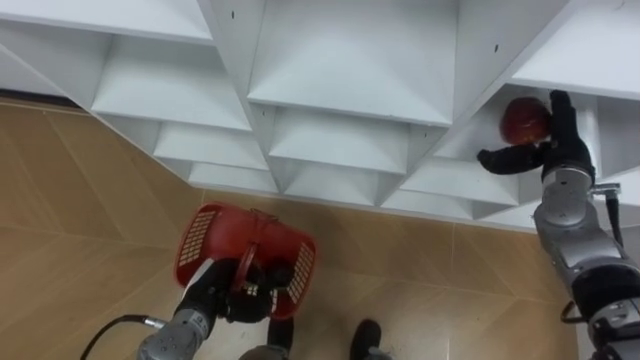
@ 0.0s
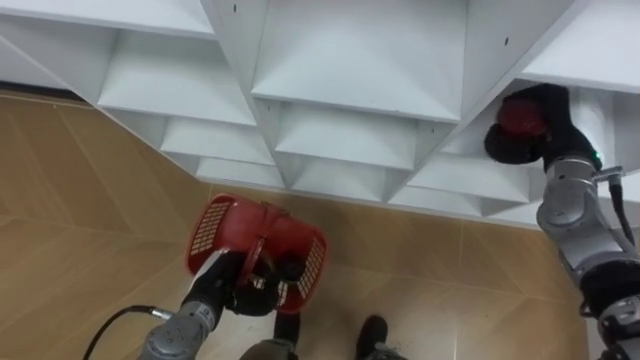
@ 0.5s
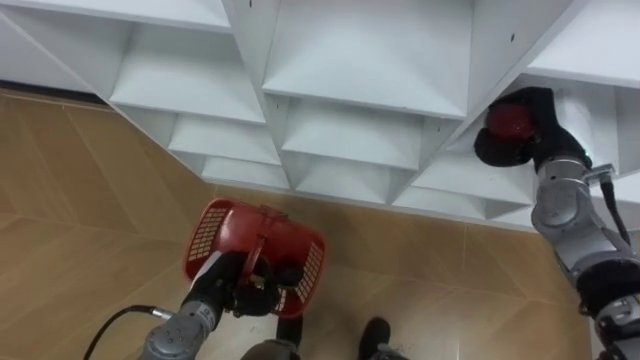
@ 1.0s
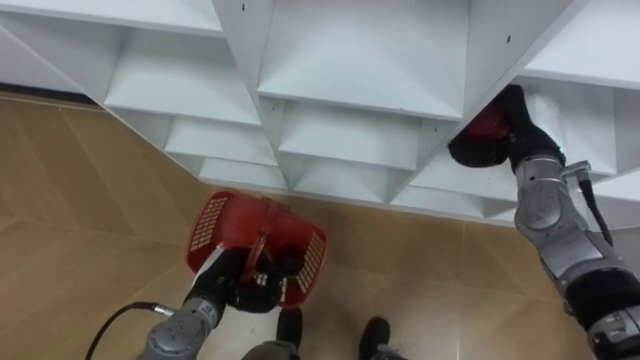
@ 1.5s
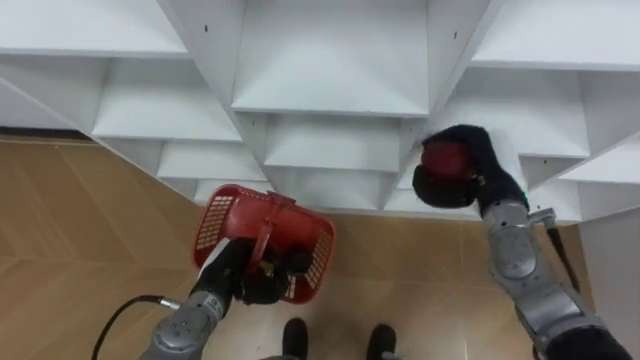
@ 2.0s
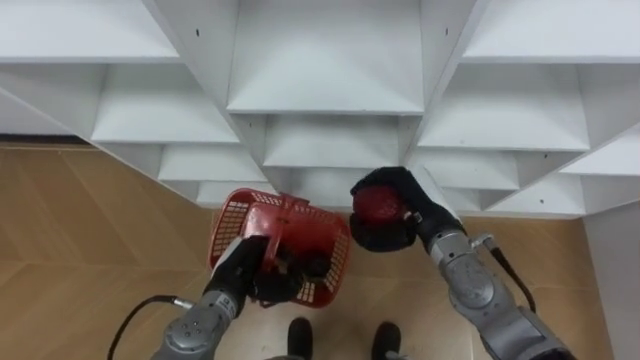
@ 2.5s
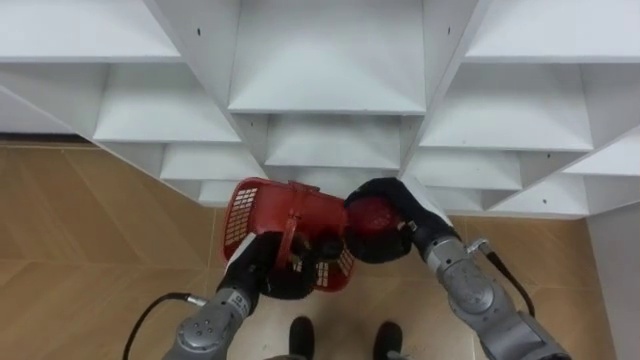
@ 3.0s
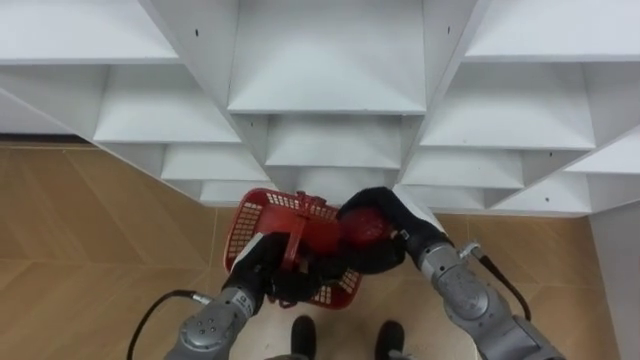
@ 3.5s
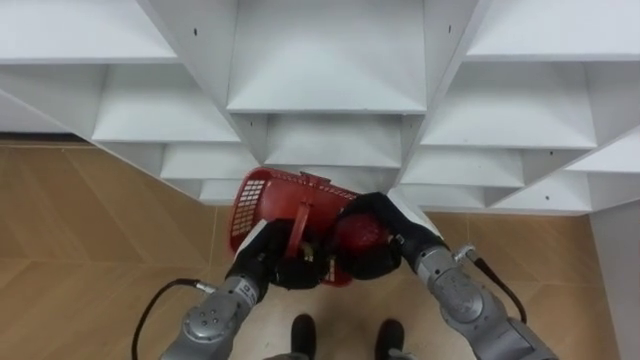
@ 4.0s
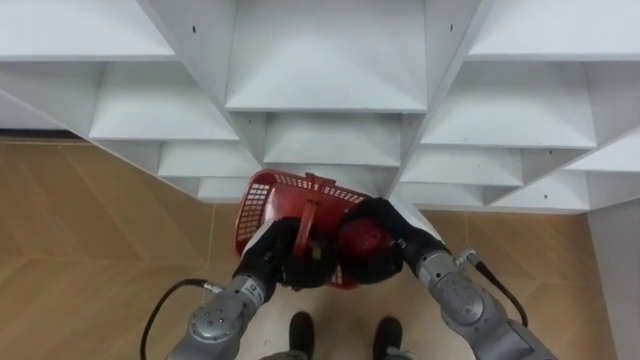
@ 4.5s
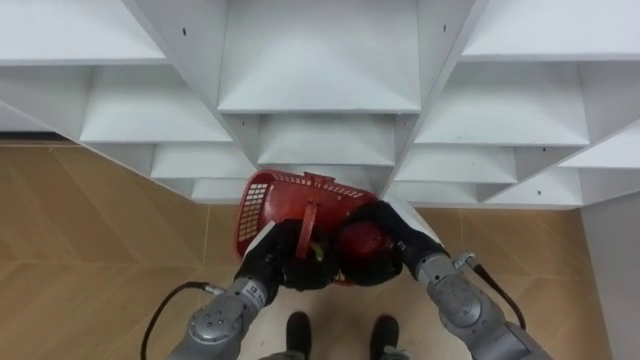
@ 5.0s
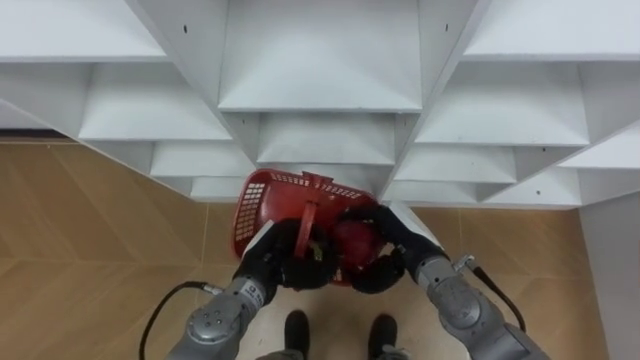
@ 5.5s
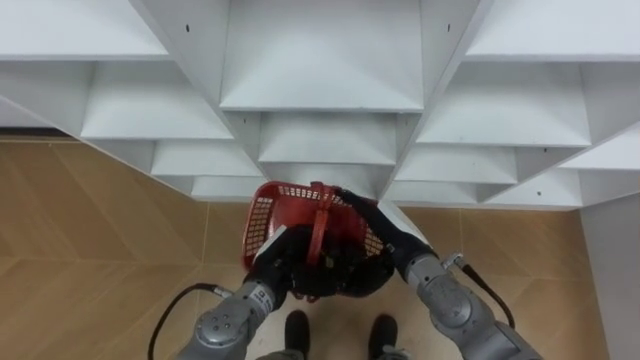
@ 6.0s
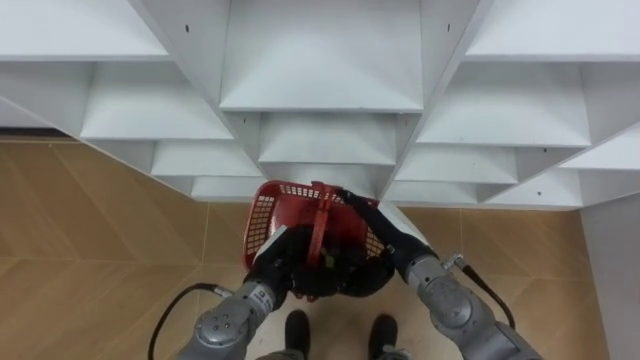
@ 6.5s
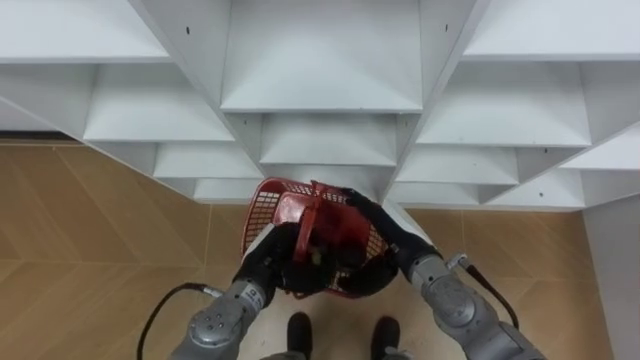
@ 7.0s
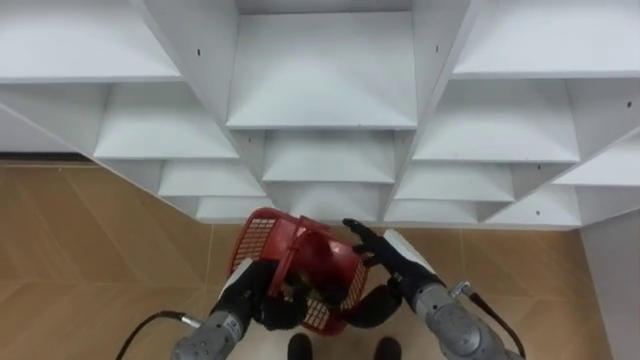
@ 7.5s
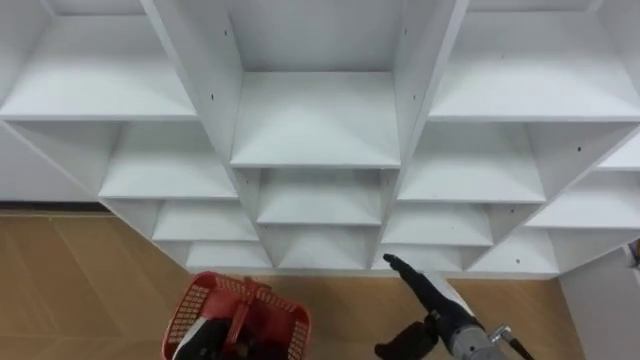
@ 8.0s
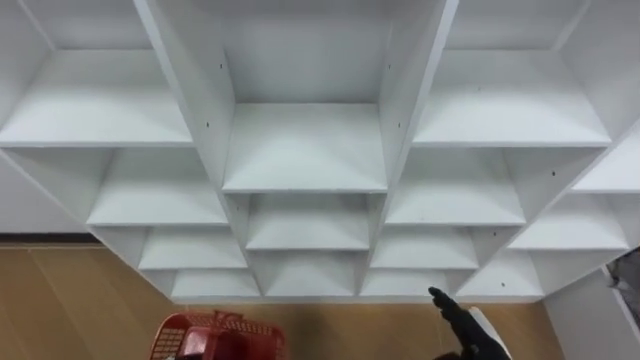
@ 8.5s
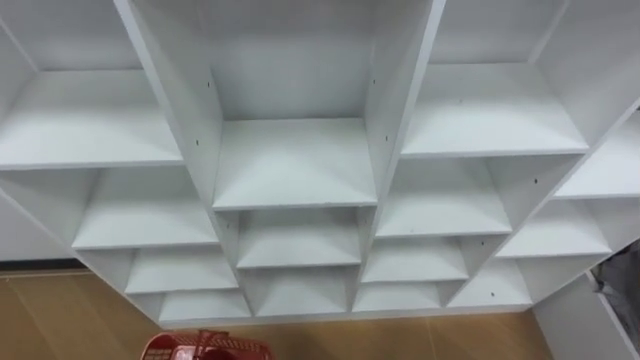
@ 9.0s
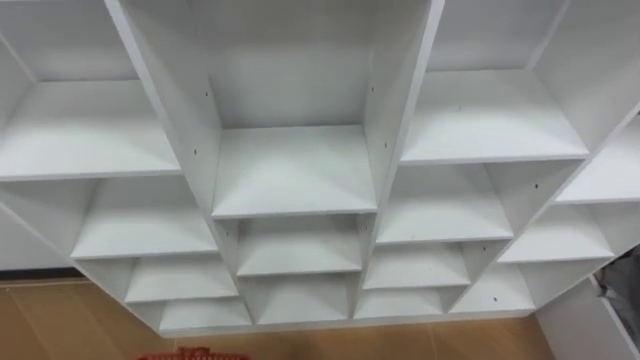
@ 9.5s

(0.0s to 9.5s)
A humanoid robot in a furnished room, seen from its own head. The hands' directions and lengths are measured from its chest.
Task of the whole recording: Hold the basket and collect the fruits from 3 different cells of the closet into it.
0.0s - 2.0s: The right hand heads to the left, covering about 10 cm, and closes up.
2.0s - 4.0s: The right hand is displaced to the left, downward and backward by about 15 cm. The left hand heads to the right, covering roughly 5 cm.
4.0s - 5.5s: The hands move only a little.
5.5s - 7.5s: The right hand opens, while the left hand shifts approximately 5 cm downward.

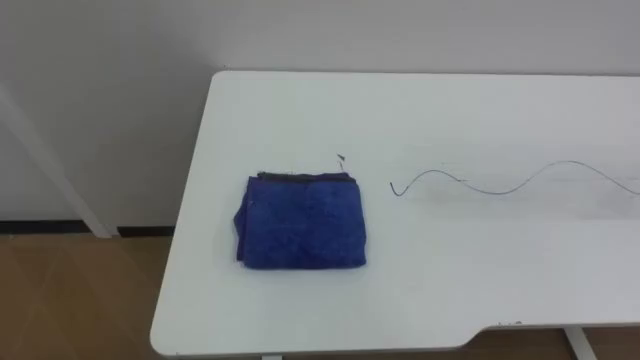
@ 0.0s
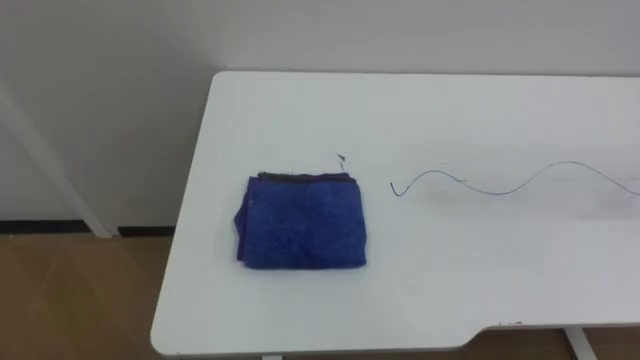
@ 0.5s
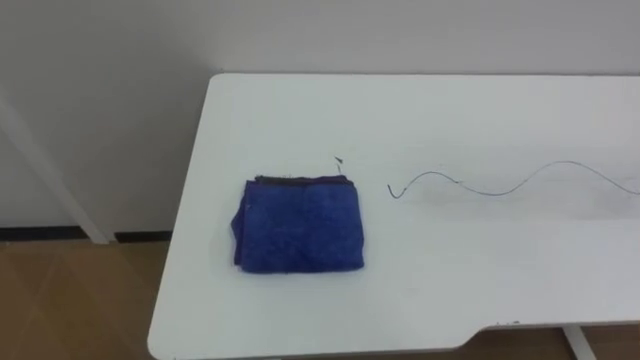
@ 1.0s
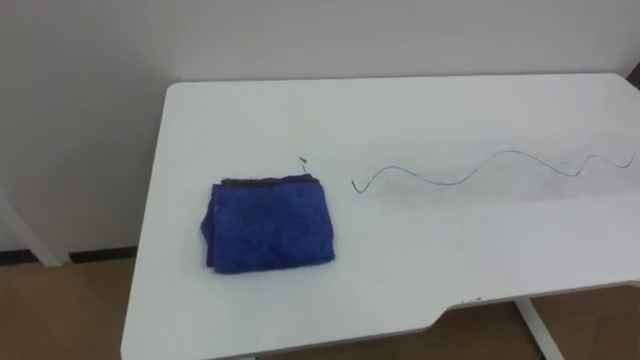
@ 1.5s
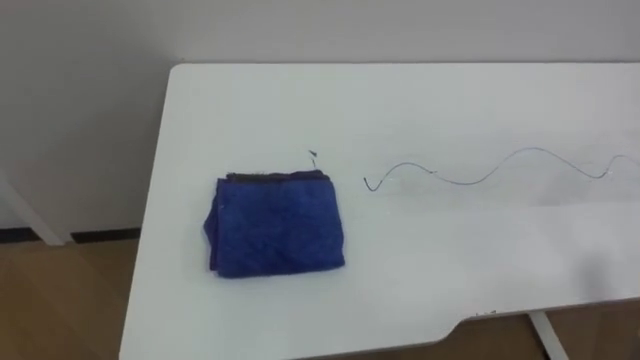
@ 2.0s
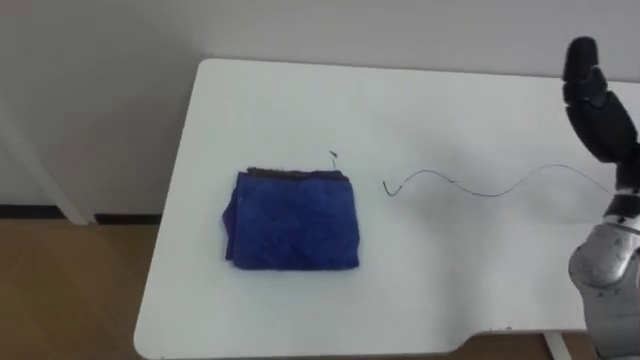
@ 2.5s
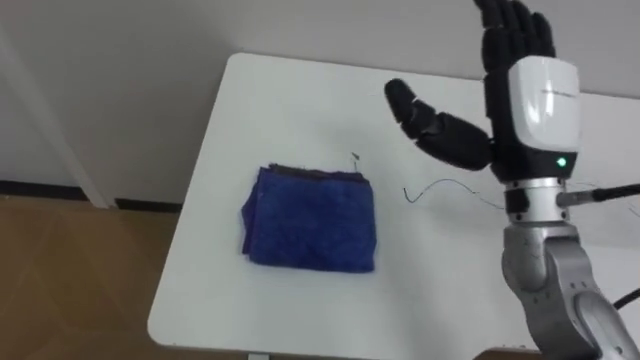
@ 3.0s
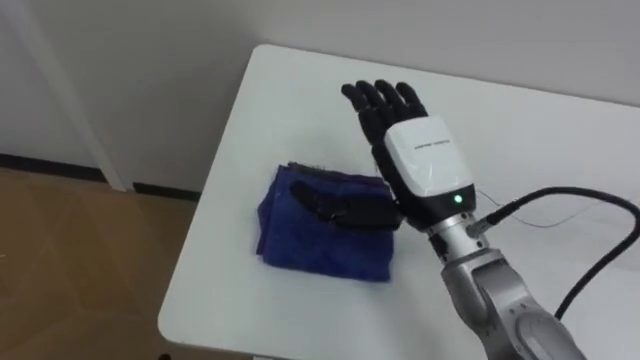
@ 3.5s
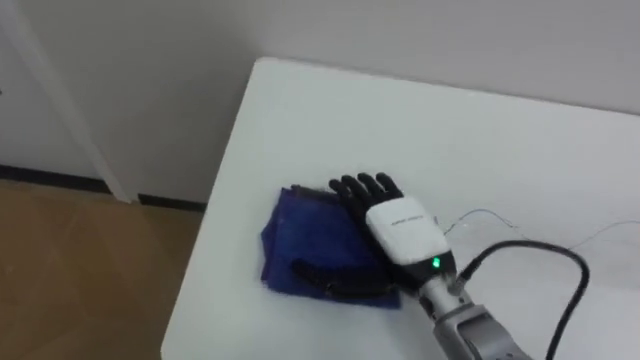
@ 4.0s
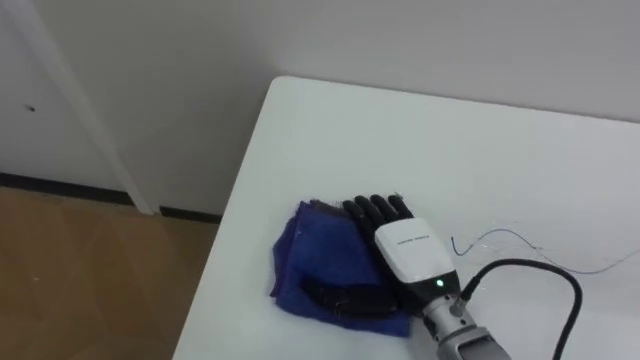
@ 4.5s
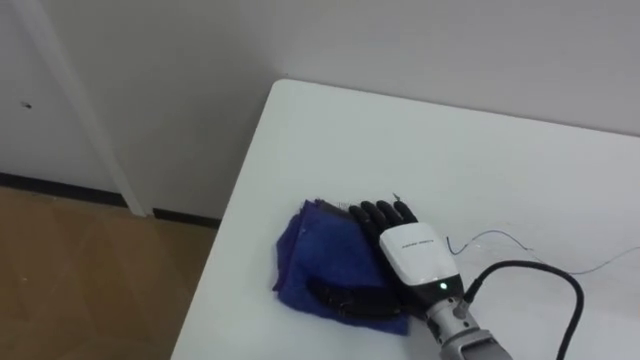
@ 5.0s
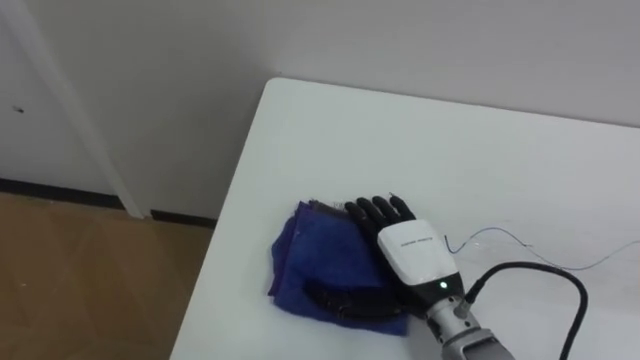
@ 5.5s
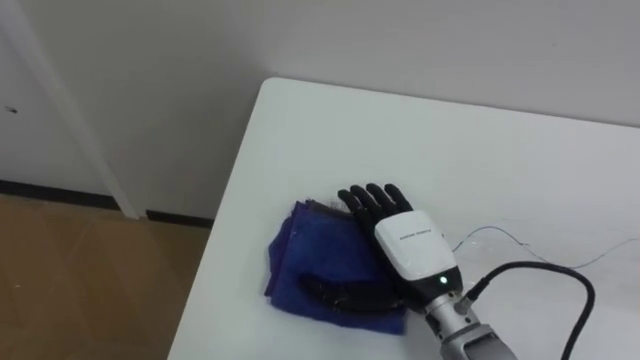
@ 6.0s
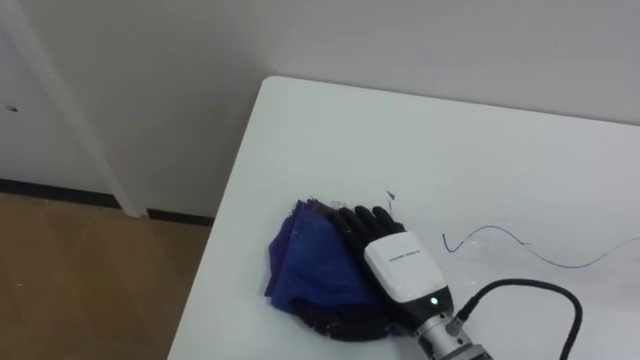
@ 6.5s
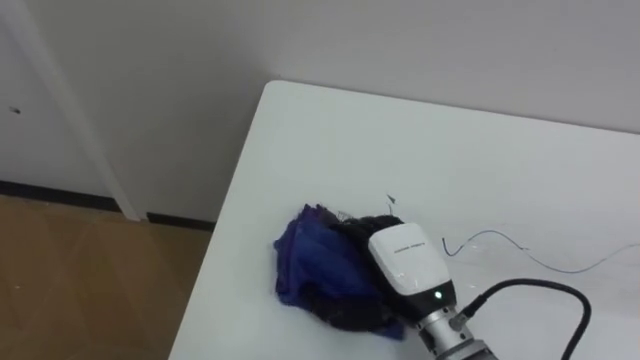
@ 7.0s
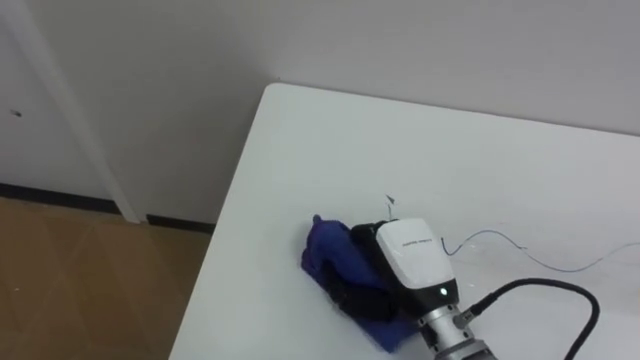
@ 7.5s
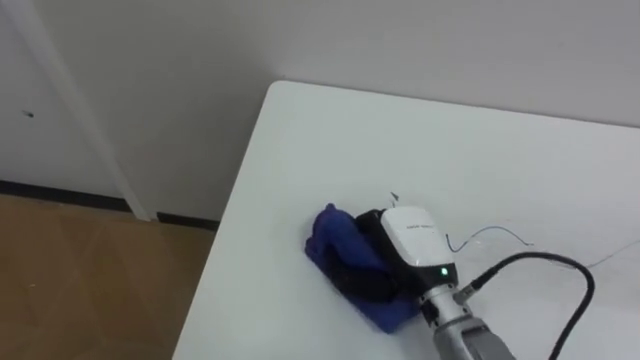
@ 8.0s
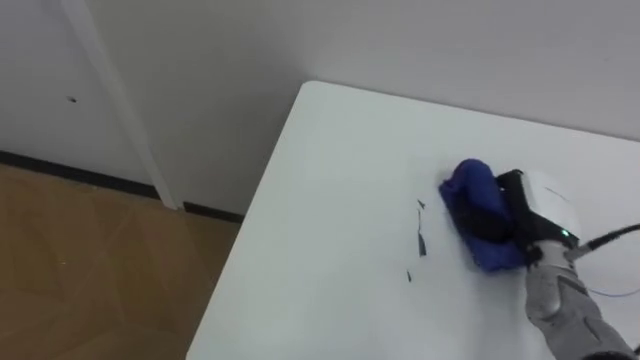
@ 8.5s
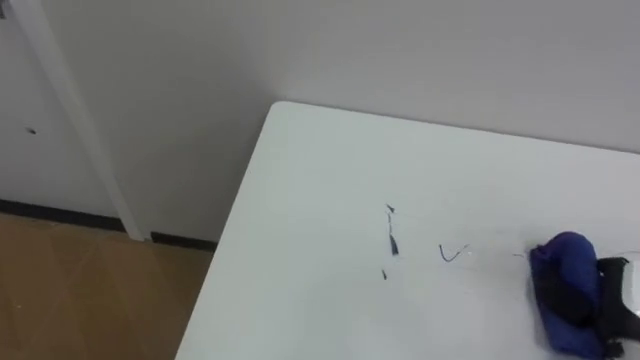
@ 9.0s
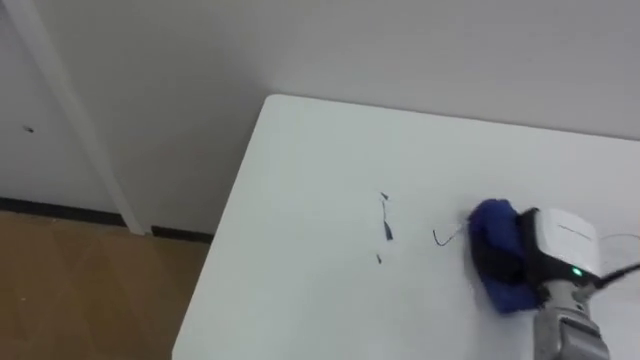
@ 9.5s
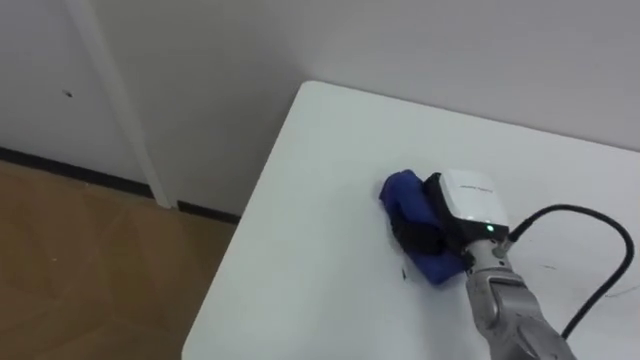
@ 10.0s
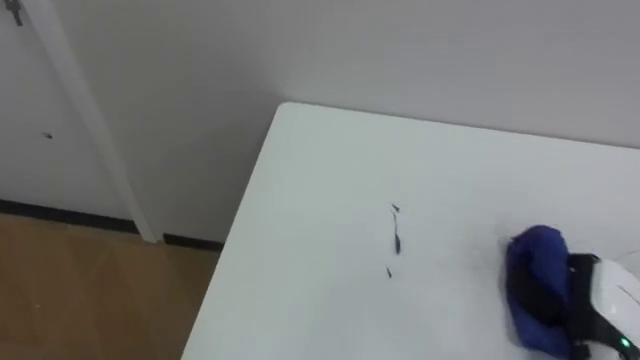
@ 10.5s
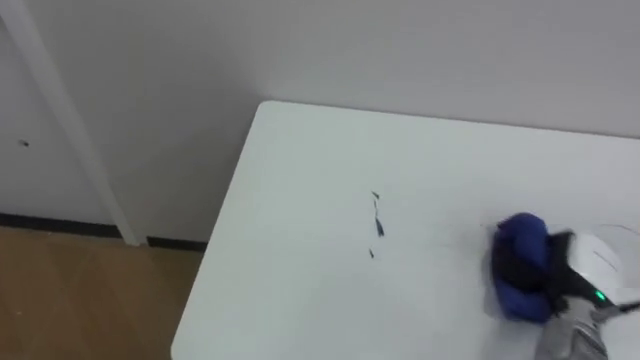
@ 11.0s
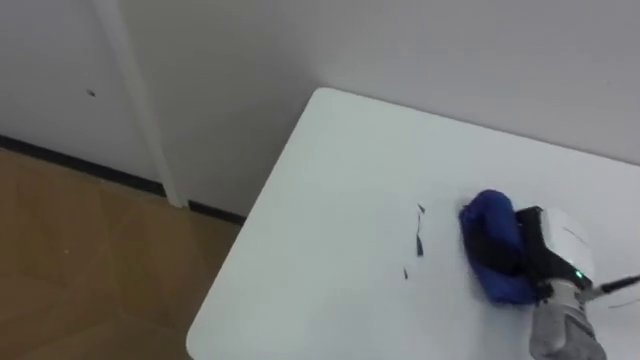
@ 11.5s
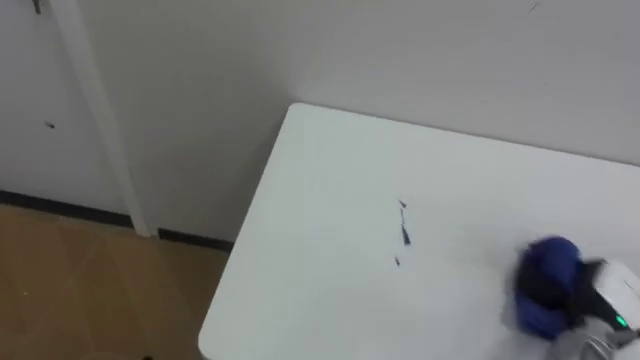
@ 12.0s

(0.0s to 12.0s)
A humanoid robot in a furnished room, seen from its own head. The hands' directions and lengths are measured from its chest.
Task of the whole recording: Wipe the blue pen marks off the table with the rag.
6.0s - 8.0s: The right hand closes its fingers.
8.0s - 10.0s: The right hand moves forward, some 5 cm, and reaches approximately 25 cm to the right, then returns.
10.0s - 12.0s: The right hand swings left and right, roughly 20 cm each way, with 2 reversals.
